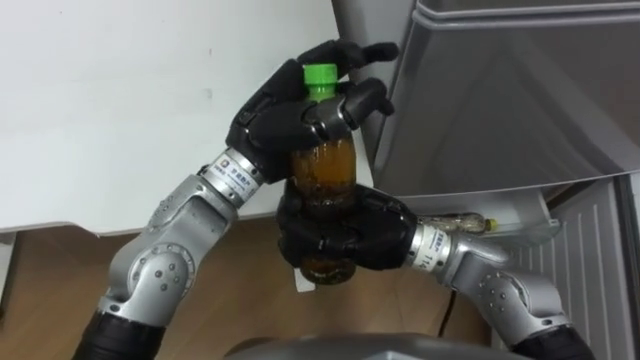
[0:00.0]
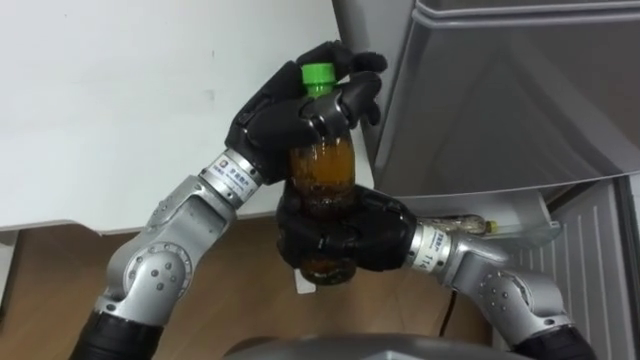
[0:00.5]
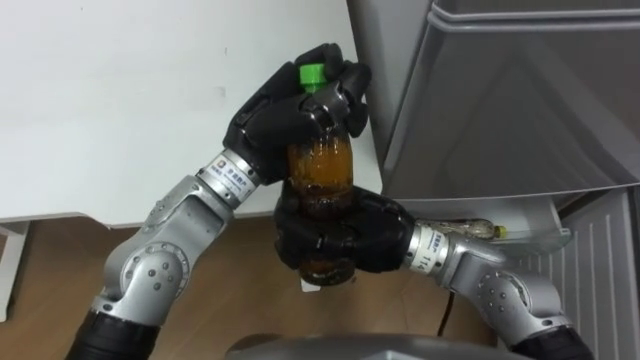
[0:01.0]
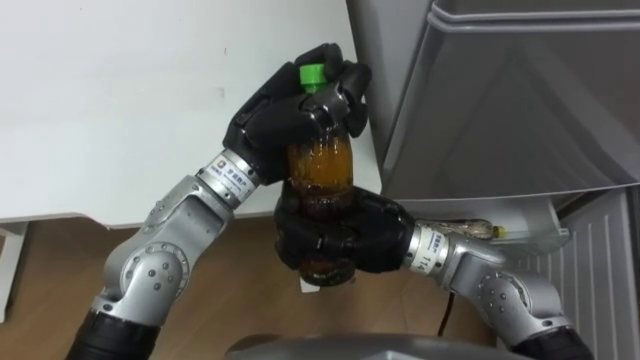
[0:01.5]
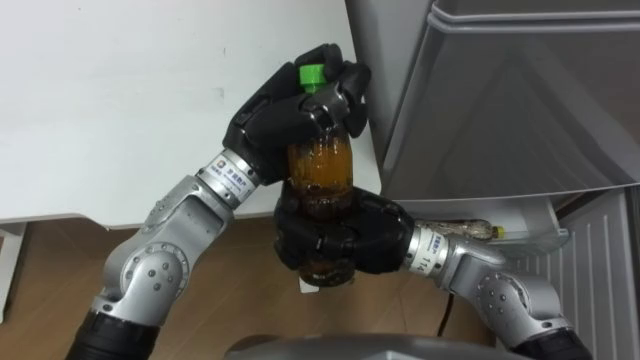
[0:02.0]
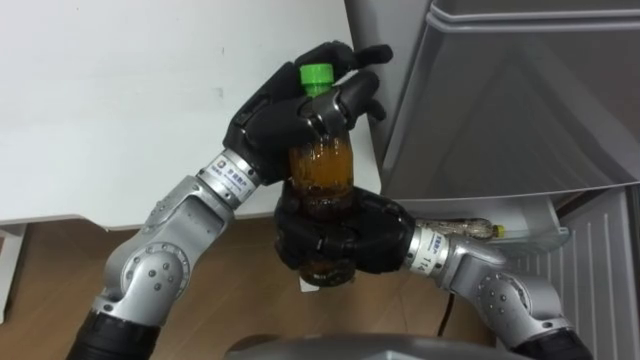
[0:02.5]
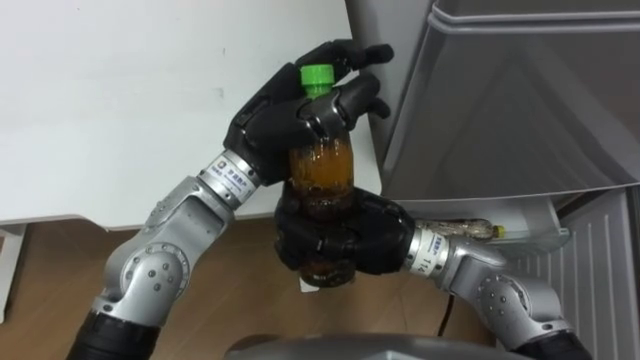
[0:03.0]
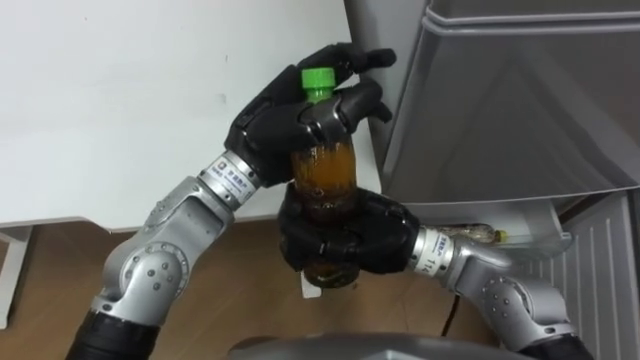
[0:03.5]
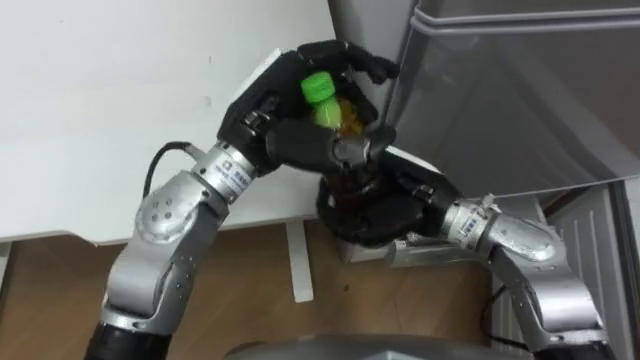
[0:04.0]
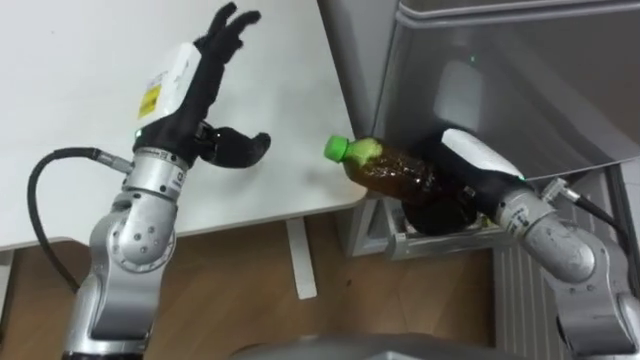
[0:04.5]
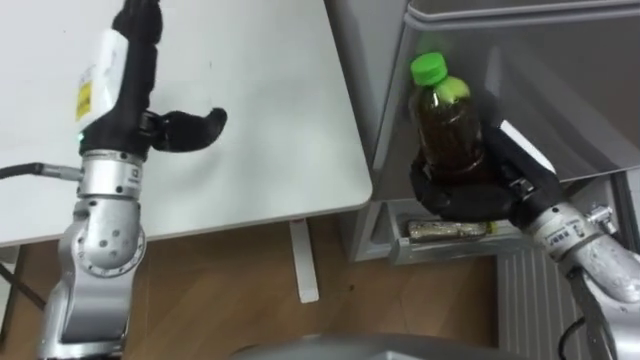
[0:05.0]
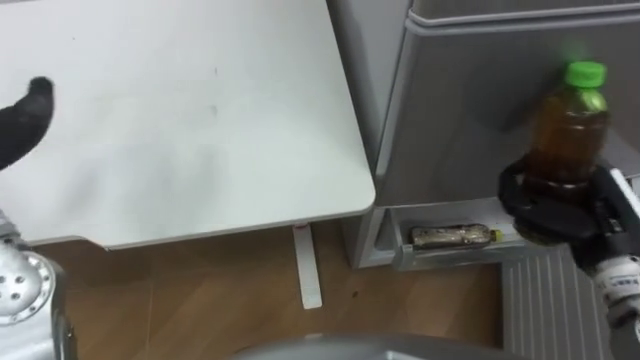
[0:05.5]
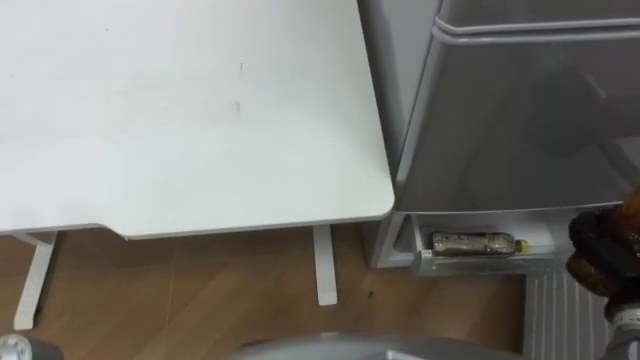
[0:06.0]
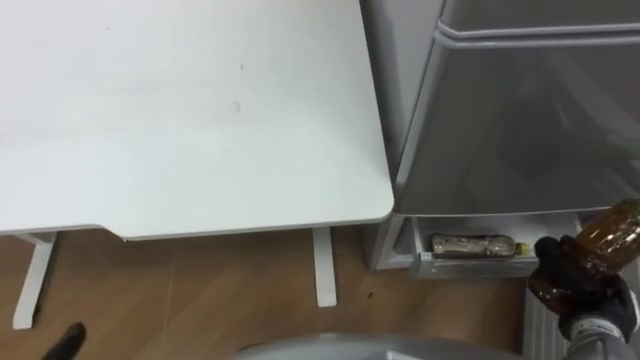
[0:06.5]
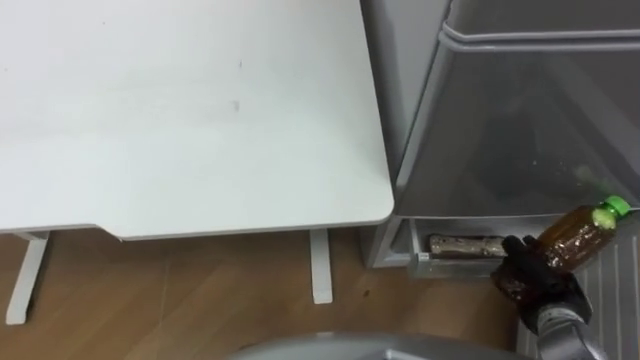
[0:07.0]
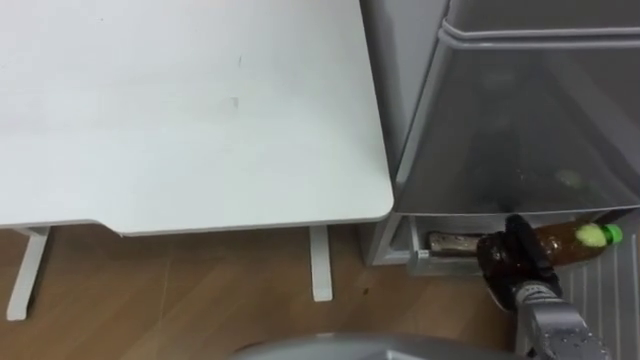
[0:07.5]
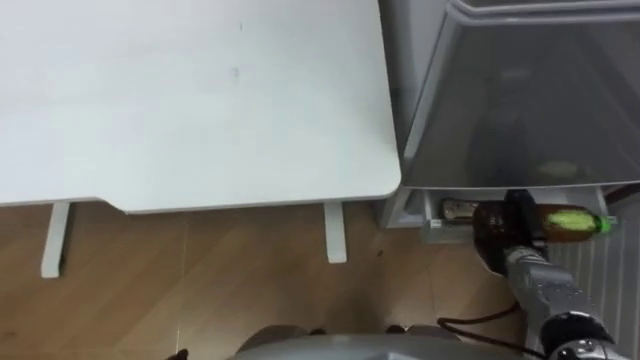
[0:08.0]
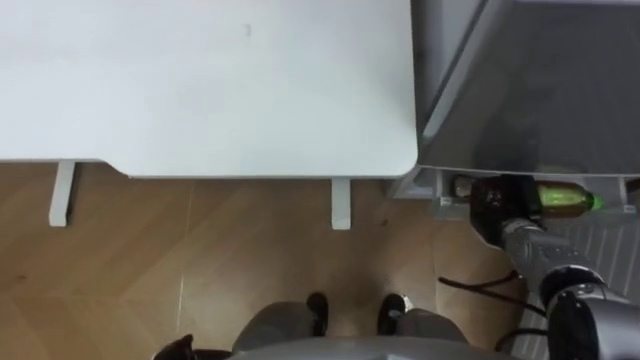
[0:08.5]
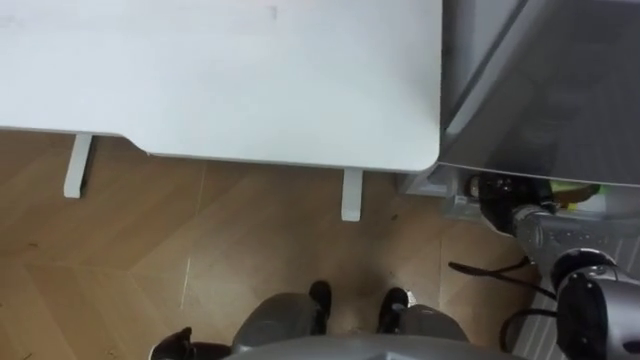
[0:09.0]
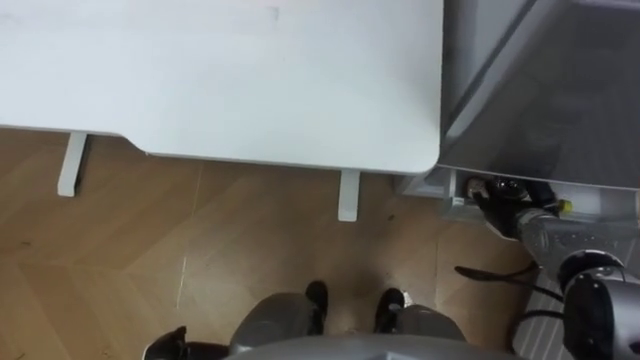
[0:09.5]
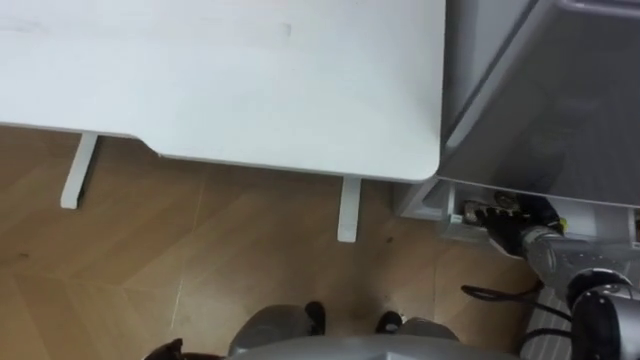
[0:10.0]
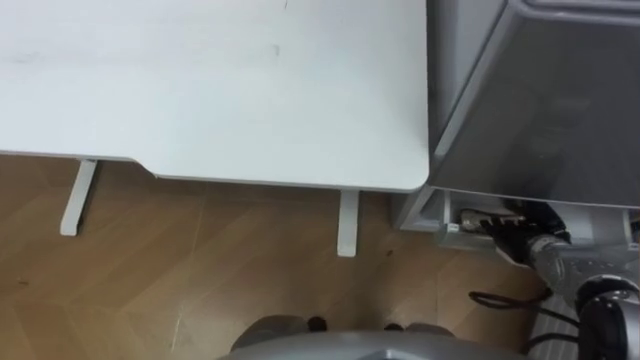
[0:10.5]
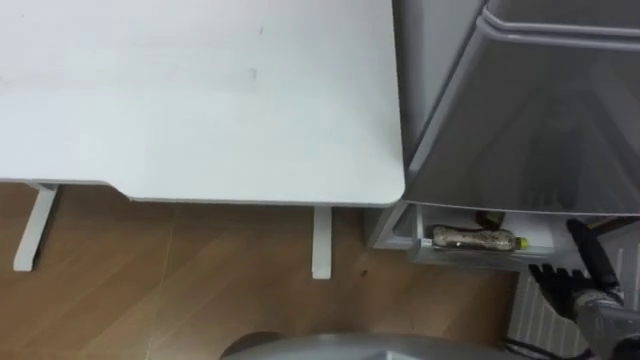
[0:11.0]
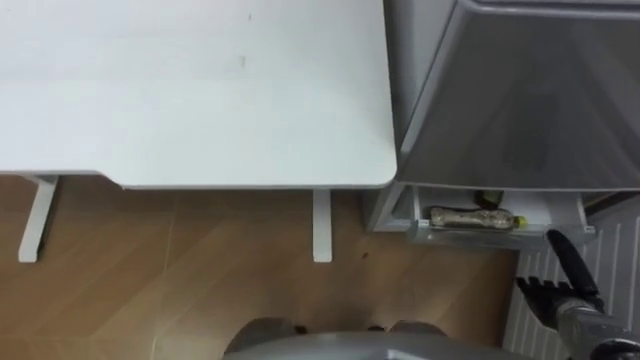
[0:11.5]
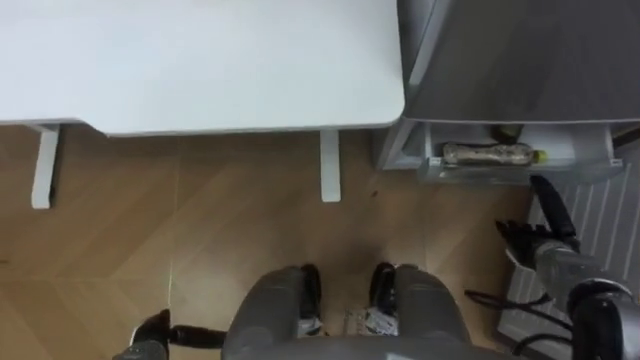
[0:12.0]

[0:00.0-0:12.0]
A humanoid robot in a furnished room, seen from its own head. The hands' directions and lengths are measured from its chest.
Task of the whole recording: Place the drink on the table on the bottom shelf of the refrigerator, then close the drawer and the refrigerator door.
0:02.0 to 0:04.0: The right hand moves to the right, some 5 cm.
0:04.0 to 0:06.0: The right hand travels to the right by about 30 cm.
0:06.0 to 0:08.0: The right hand goes about 15 cm downward, to the left and forward.
0:08.0 to 0:10.0: The right hand opens its fingers.

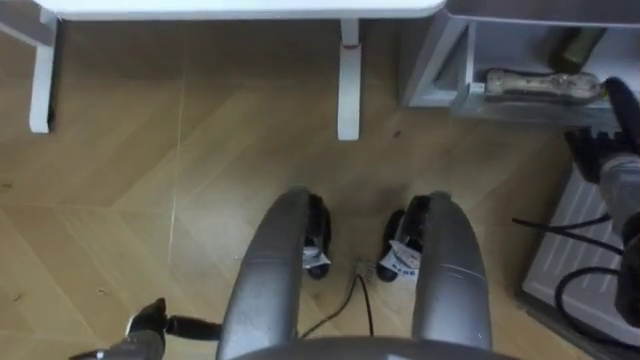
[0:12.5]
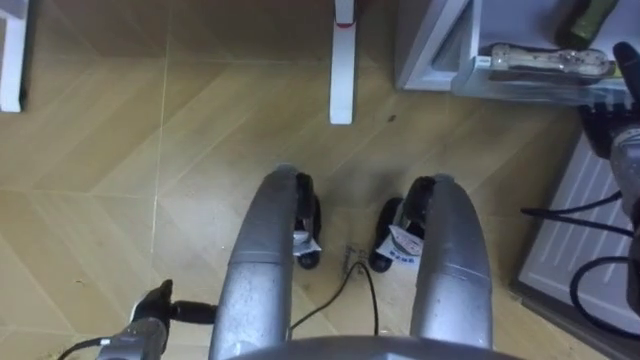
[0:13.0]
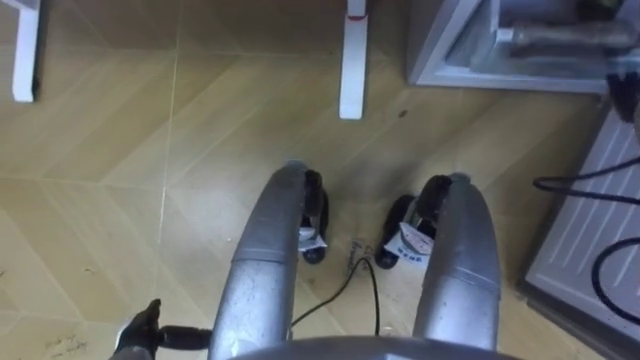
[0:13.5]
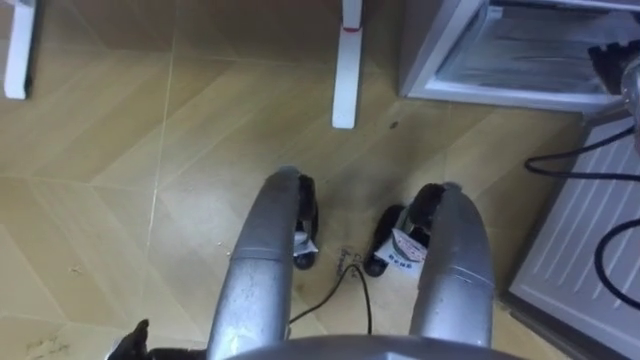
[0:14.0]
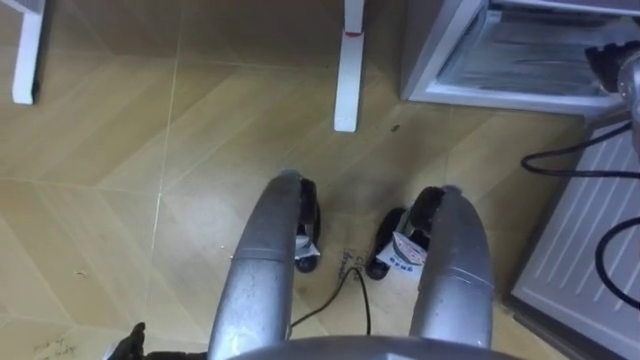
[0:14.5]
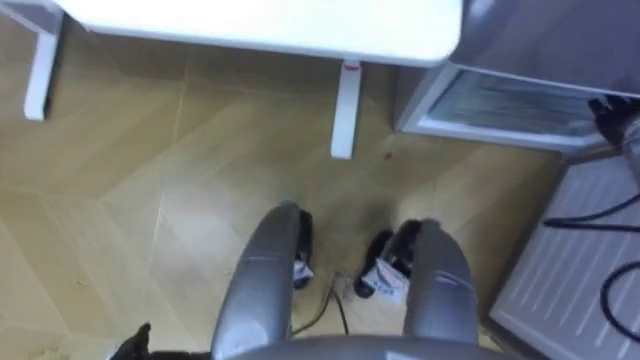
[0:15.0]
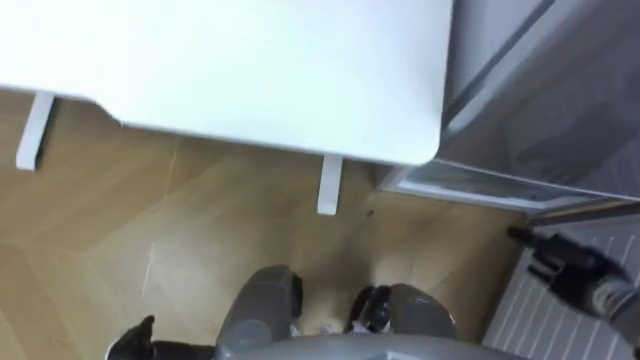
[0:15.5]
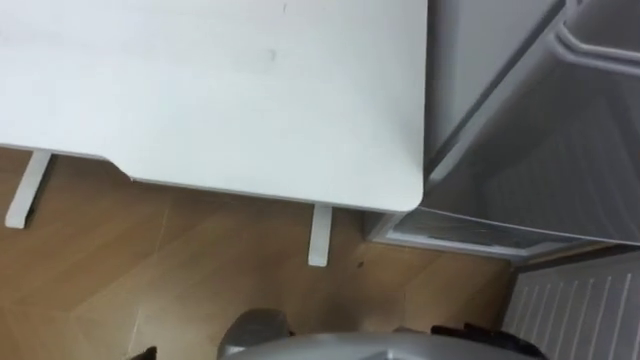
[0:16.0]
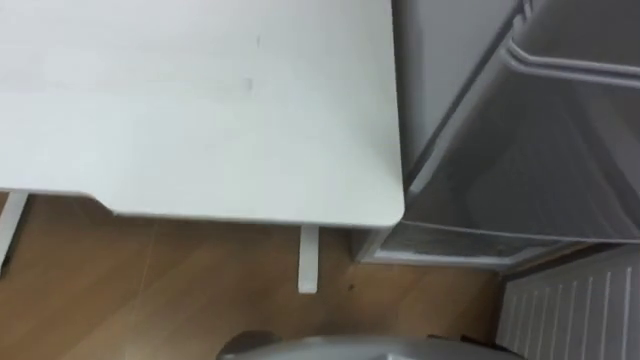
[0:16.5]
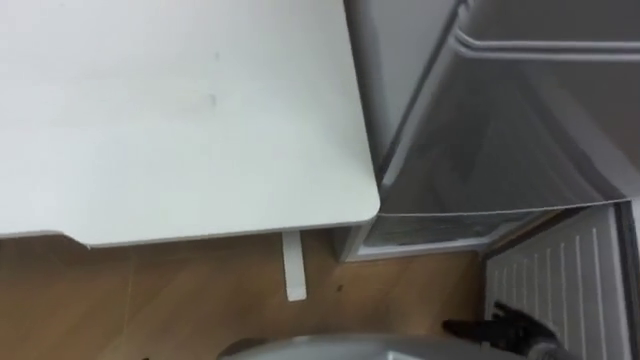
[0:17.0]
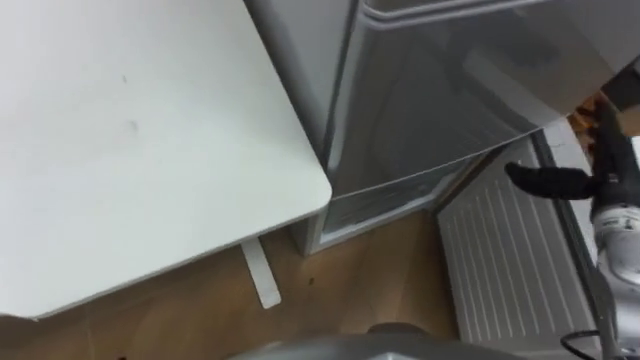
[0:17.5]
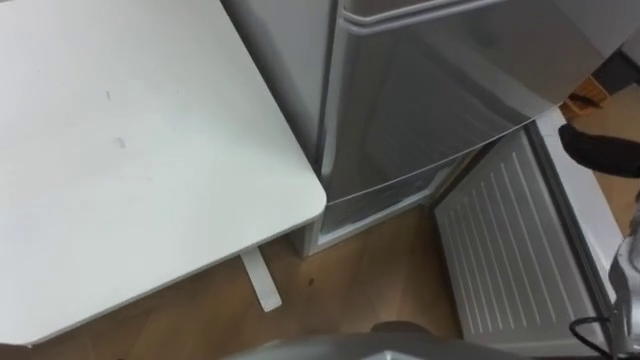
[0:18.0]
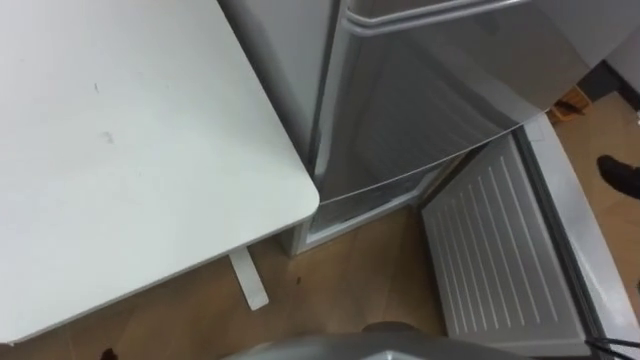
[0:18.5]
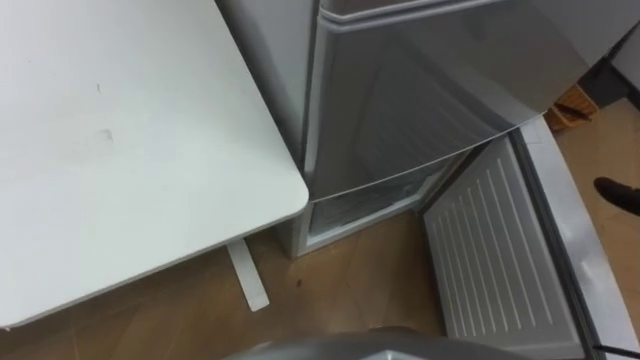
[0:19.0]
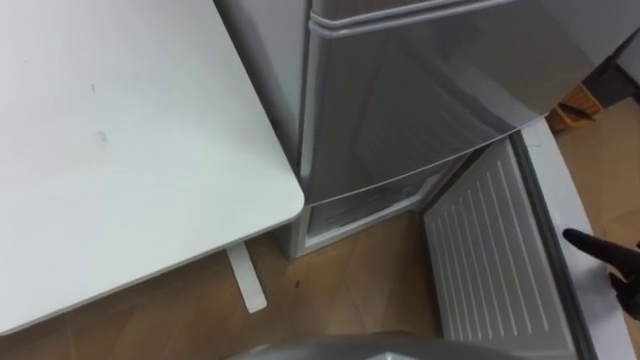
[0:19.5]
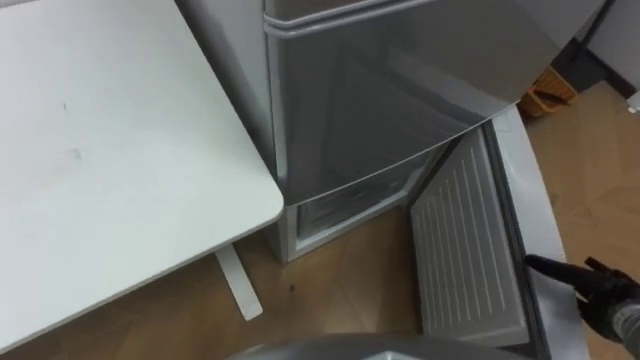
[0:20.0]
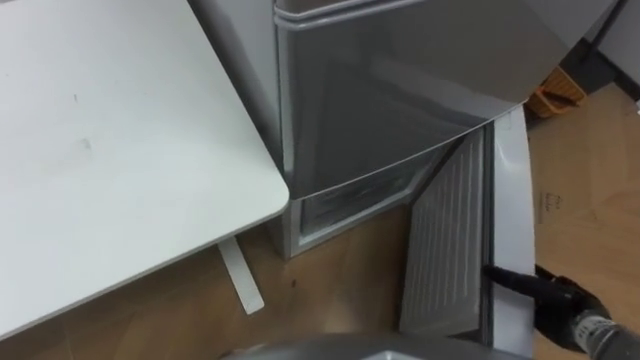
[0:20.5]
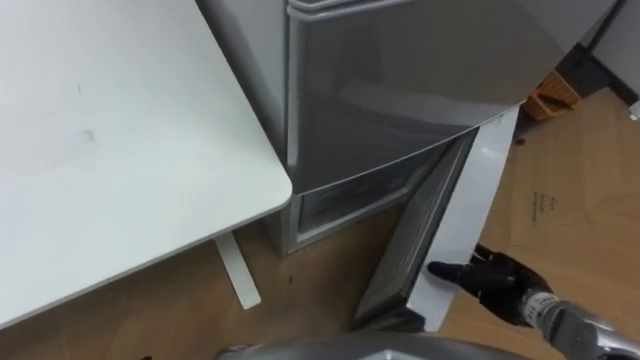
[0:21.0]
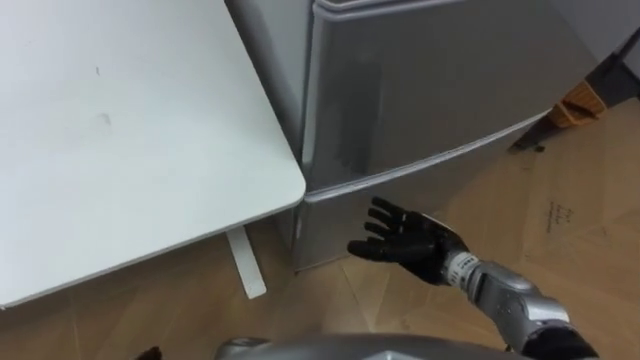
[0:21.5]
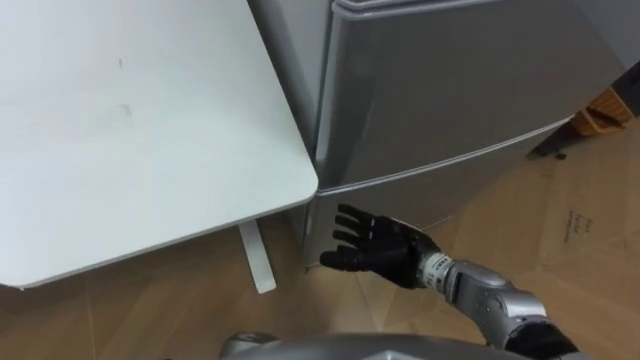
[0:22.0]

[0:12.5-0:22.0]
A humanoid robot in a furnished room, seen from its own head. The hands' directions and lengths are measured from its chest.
Task of the whole recording: Place the drink on the table on the bottom shelf of the refrigerator, then close the drawer and the refrigerator door.
0:12.5 to 0:14.5: The right hand travels upward and forward by about 15 cm.
0:16.5 to 0:18.0: The robot's body swings about 20 degrees to its right.
0:20.0 to 0:22.0: The right hand moves to the left, roughly 30 cm.
